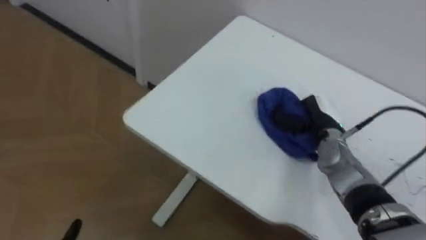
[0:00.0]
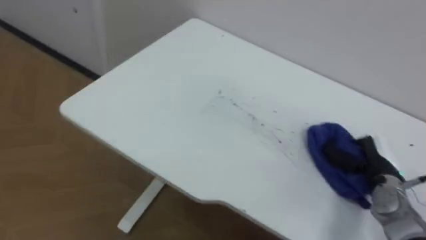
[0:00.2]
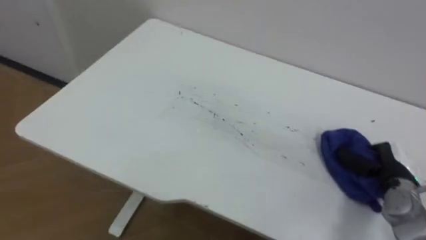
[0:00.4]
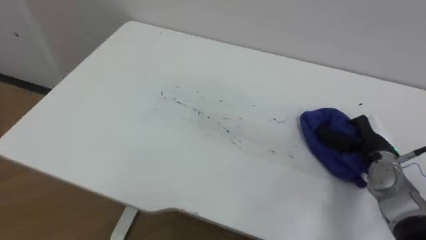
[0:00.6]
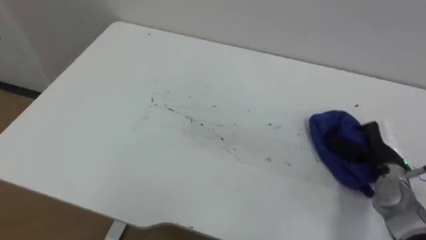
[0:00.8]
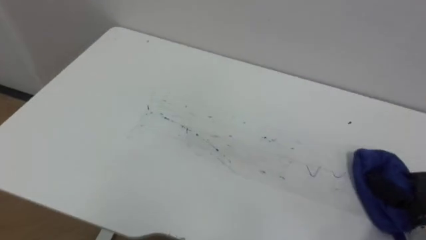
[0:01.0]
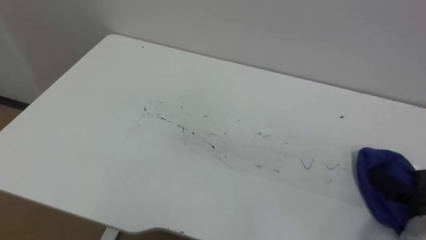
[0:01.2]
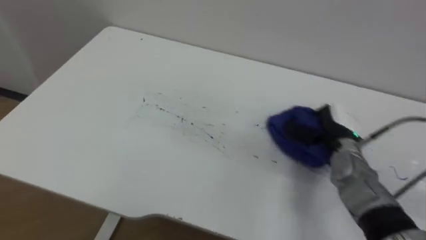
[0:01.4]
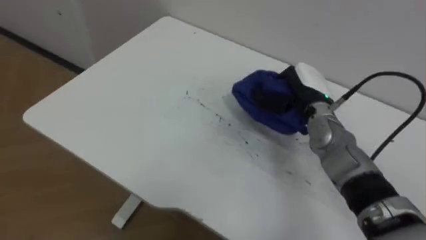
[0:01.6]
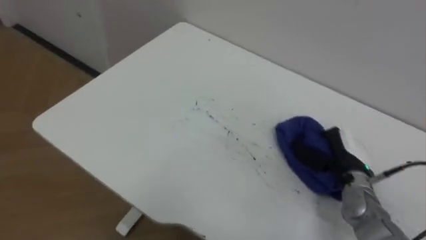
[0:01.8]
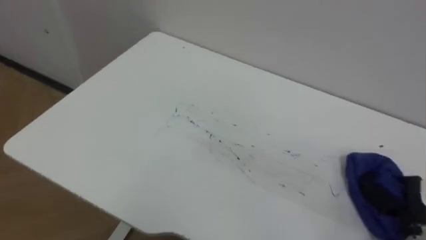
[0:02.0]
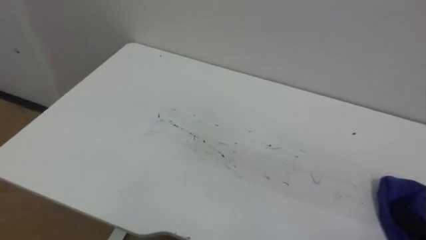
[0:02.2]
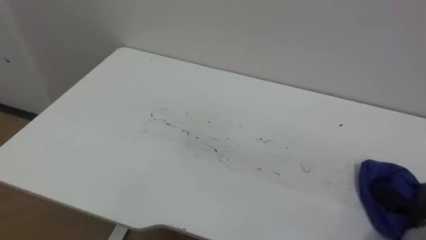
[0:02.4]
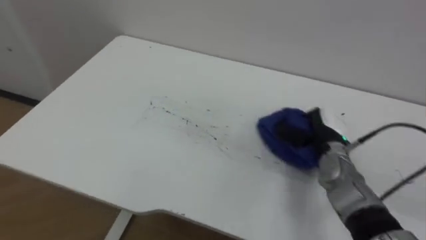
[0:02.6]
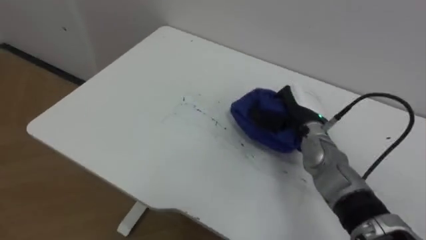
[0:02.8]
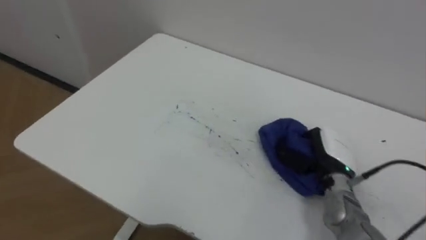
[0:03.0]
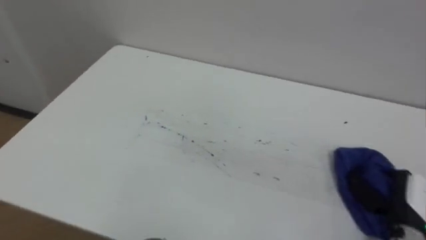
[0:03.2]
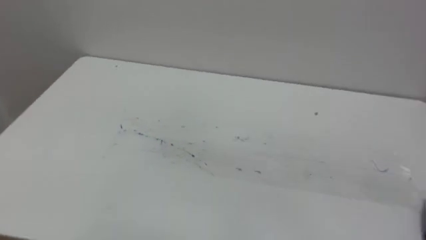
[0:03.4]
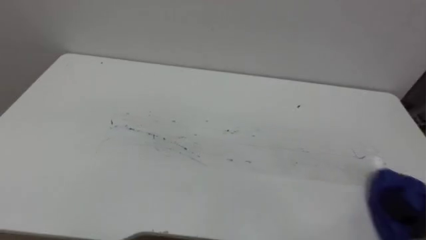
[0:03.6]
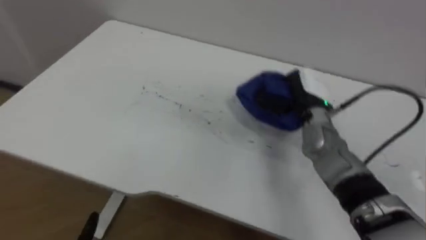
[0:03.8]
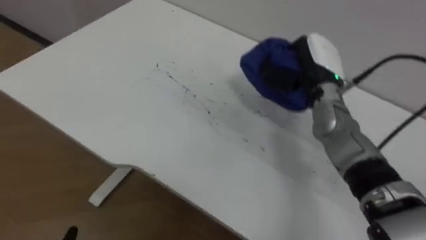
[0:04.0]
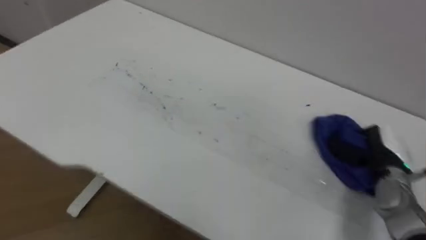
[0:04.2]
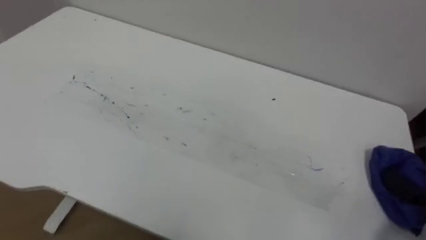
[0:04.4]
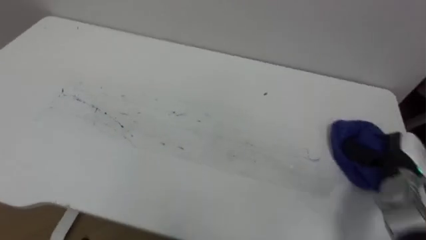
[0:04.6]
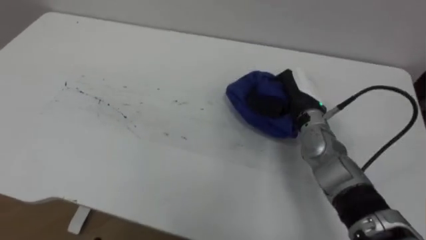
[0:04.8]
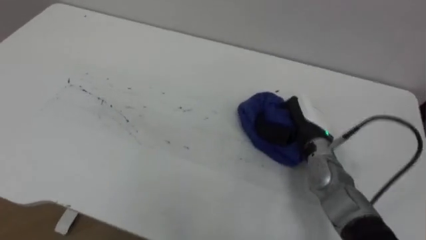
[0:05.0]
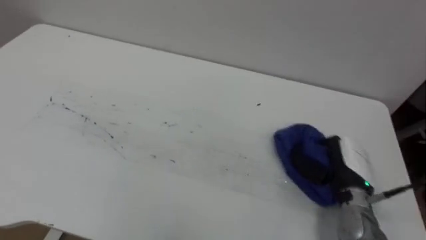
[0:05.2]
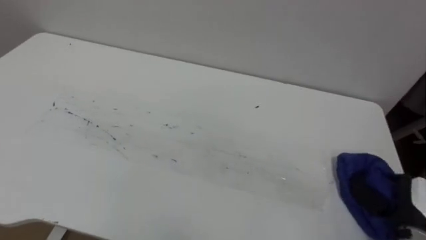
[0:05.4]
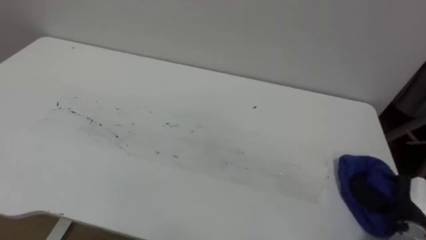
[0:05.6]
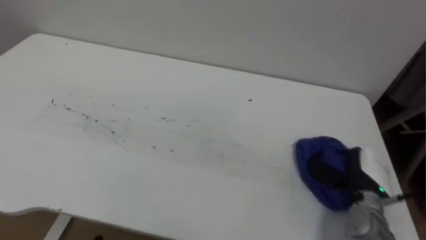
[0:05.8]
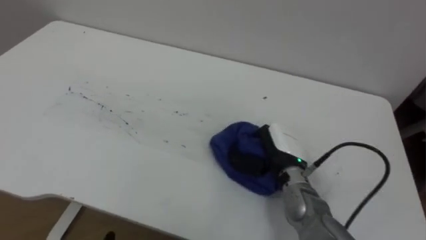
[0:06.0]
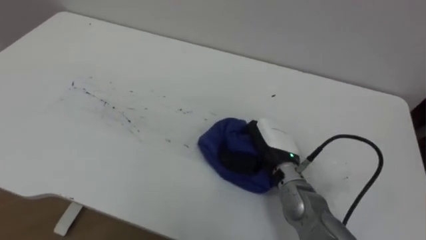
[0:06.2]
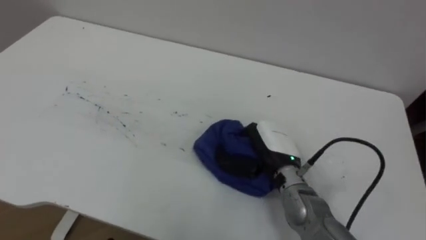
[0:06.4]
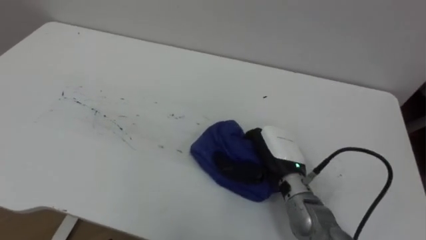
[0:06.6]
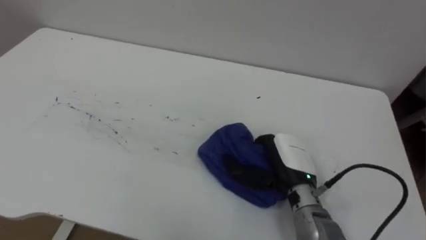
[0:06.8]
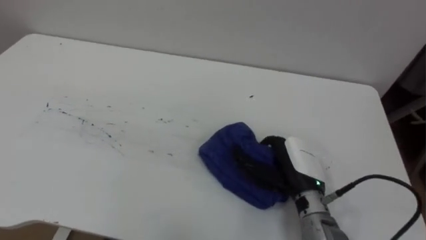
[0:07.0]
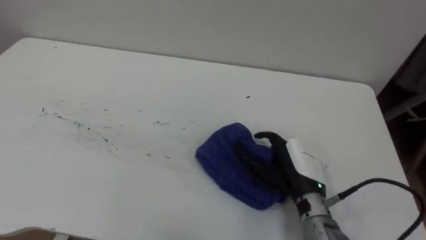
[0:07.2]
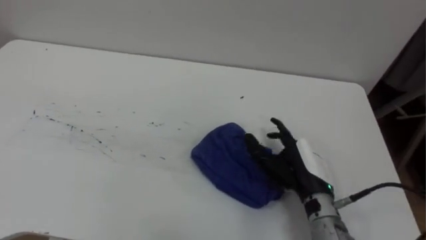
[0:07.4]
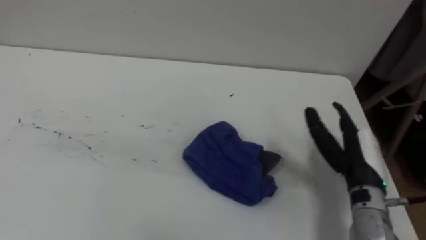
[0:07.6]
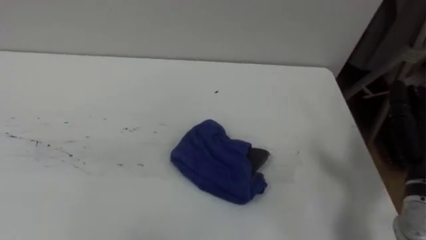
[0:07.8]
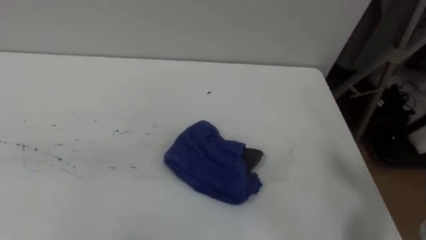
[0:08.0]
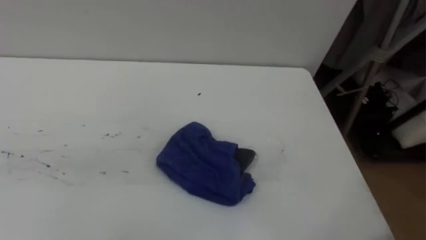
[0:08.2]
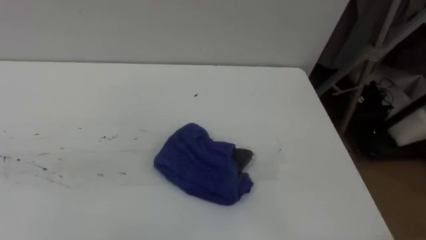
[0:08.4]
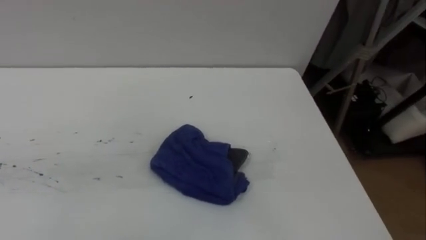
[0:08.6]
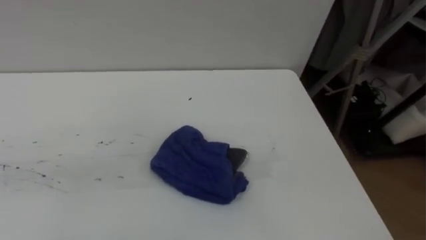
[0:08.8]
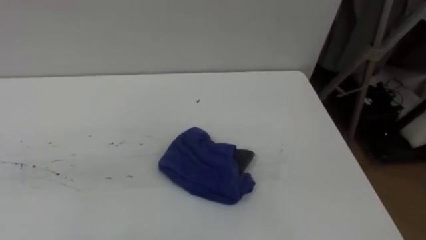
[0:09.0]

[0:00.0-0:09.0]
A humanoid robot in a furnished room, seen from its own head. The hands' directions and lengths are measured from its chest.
Task of the whole recording: Wipe the blue pen marks off the table with the rag.
0:06.0 to 0:07.6: The right hand shifts about 10 cm to the right, and opens its fingers.

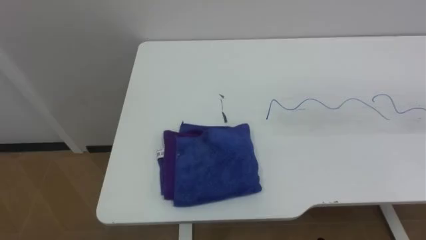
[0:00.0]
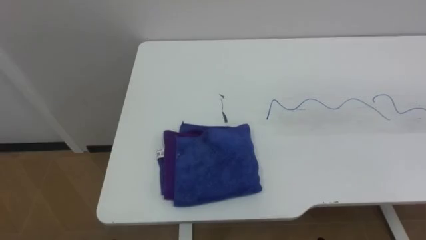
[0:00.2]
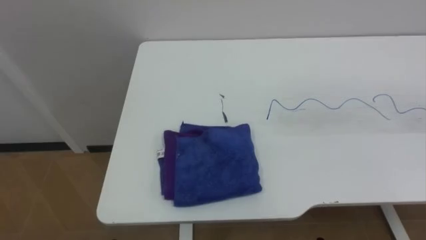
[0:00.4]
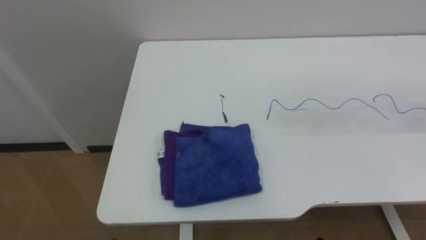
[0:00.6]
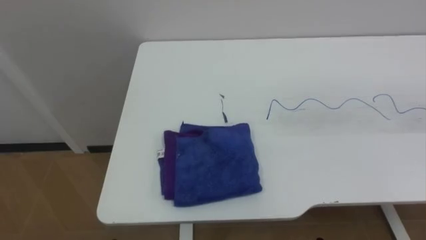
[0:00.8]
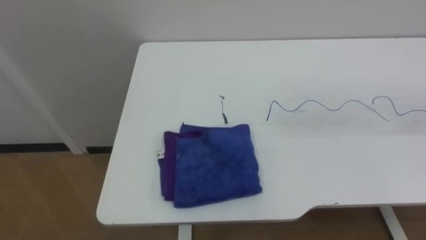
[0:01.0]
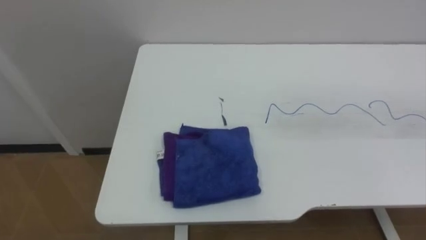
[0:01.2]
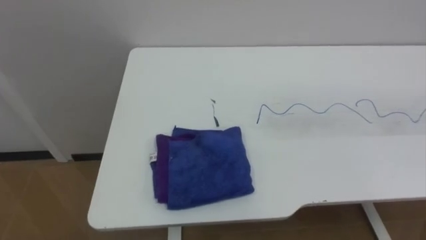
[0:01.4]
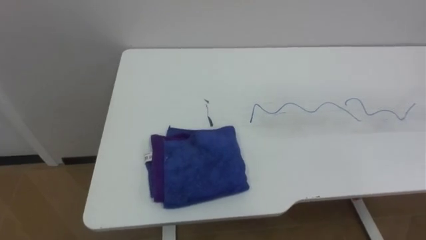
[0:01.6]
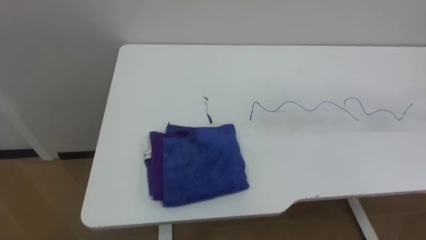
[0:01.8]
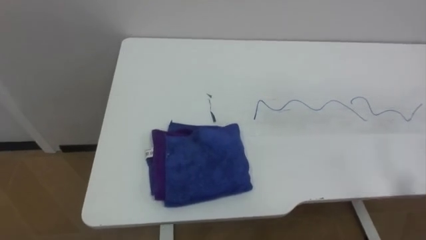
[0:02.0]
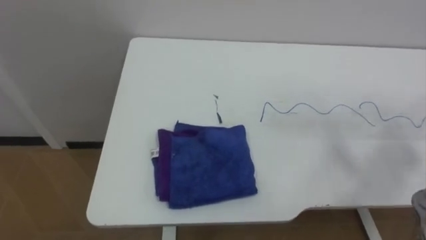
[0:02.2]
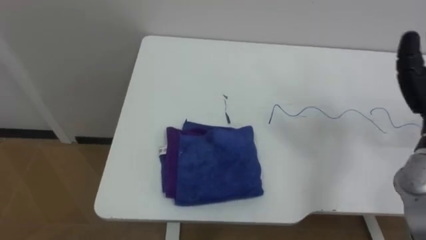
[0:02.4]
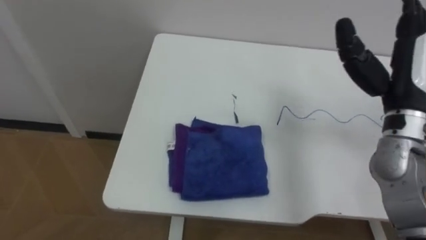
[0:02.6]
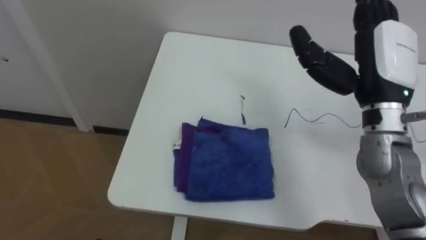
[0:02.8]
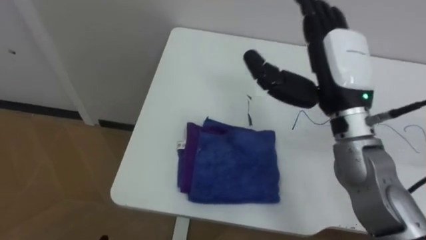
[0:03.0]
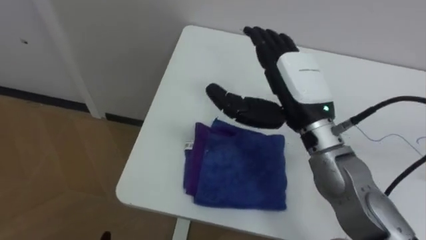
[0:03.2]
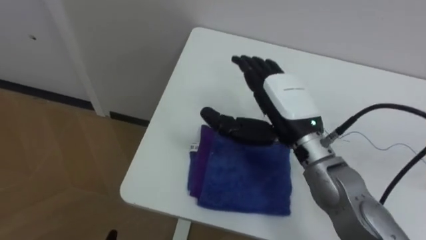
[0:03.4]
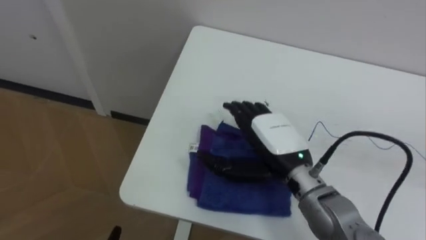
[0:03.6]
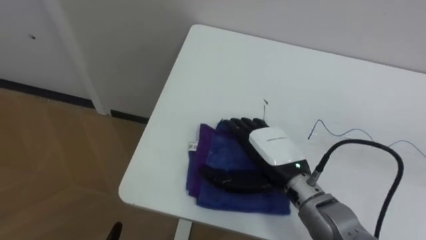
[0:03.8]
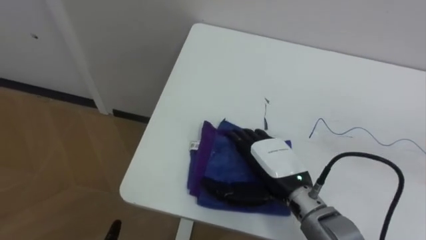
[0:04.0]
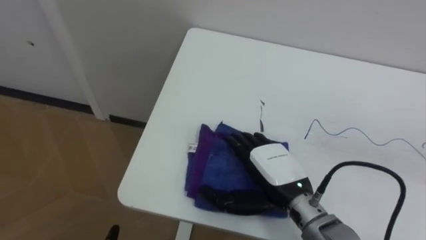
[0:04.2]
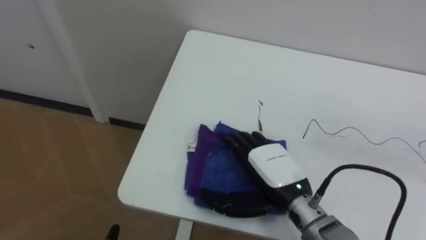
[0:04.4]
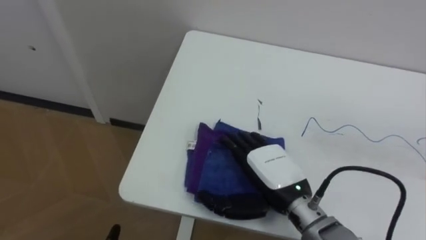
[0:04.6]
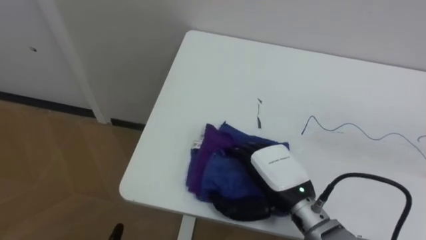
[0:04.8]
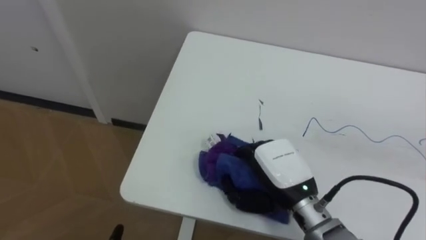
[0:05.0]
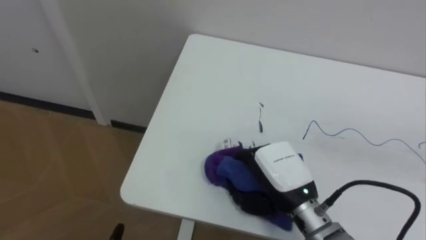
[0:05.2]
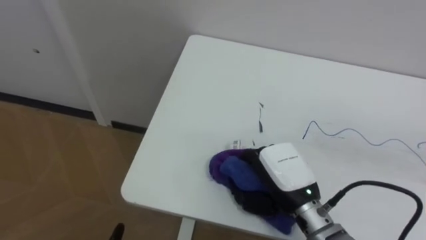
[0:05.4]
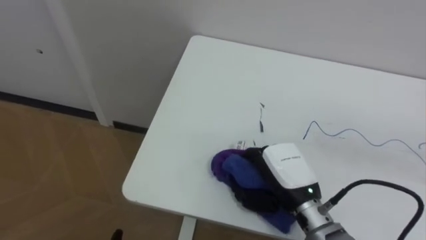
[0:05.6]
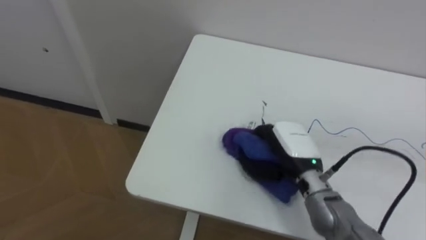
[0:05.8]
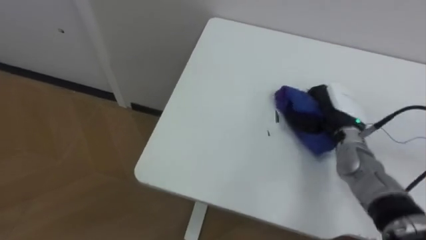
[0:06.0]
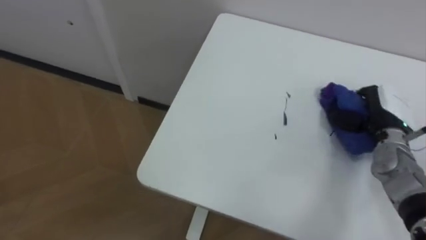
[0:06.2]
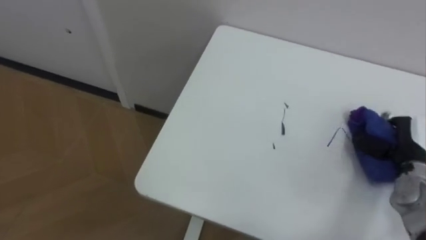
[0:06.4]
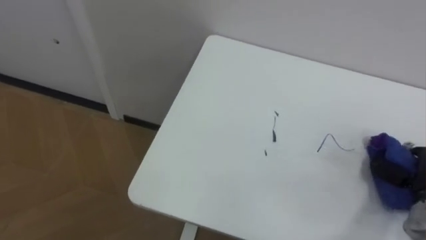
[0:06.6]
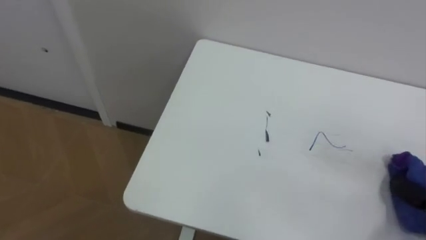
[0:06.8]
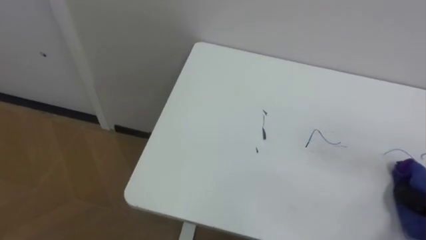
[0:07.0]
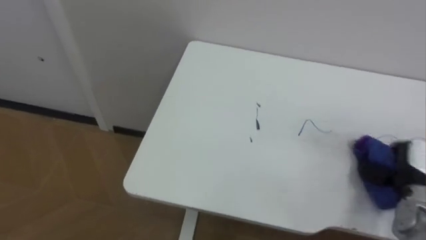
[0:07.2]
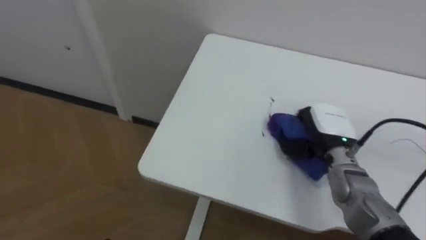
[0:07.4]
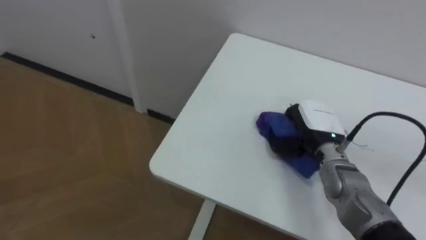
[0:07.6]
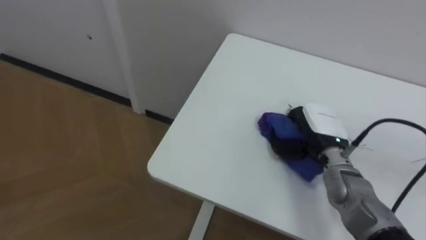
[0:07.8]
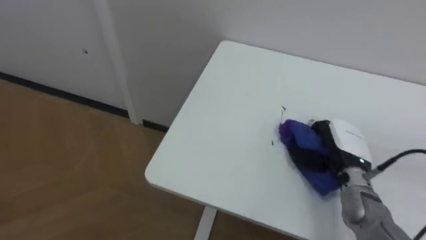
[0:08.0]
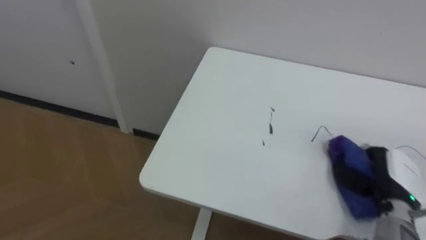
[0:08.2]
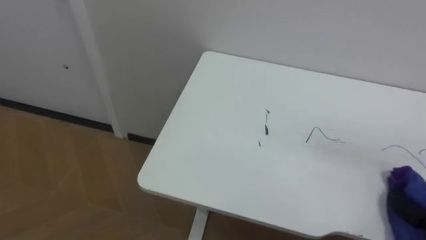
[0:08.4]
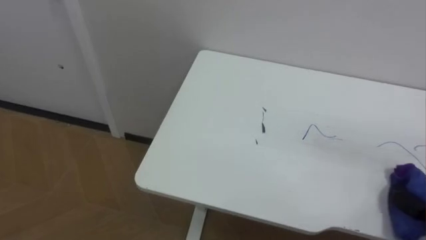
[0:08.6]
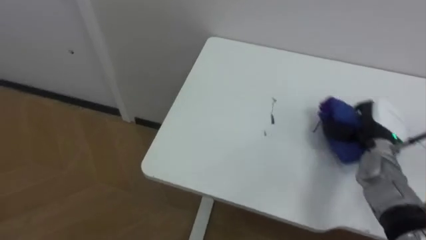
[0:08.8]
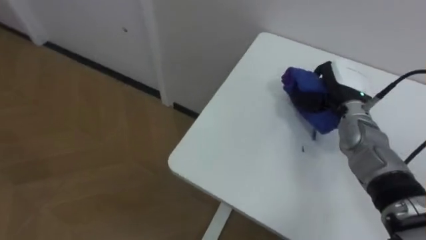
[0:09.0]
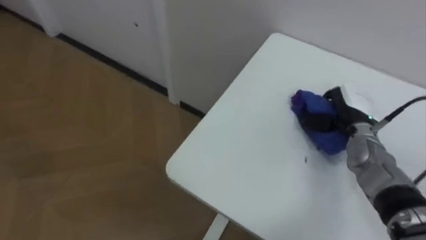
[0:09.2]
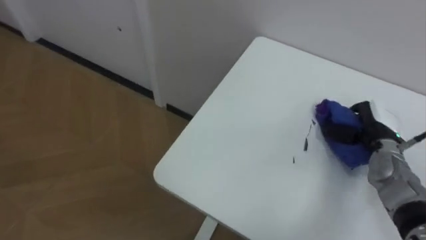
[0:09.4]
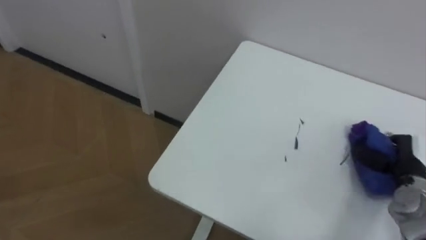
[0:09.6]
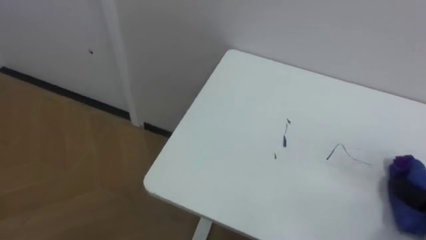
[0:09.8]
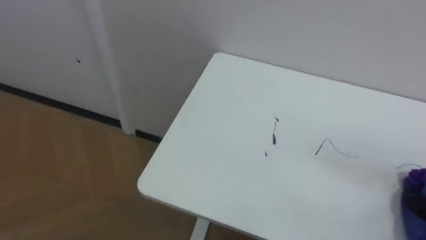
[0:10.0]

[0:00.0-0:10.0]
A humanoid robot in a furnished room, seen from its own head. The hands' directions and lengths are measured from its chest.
Task of the whole recording: Wipe the blue pen marks off the table with the rag.
0:02.8 to 0:04.2: The right hand heads downward, to the left and backward, covering about 20 cm.
0:04.2 to 0:05.8: The right hand is displaced forward by approximately 5 cm, and closes its fingers.
